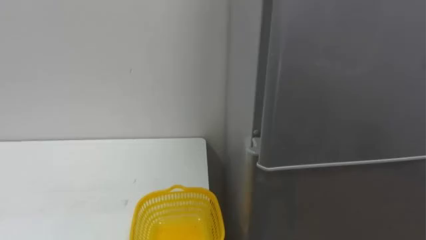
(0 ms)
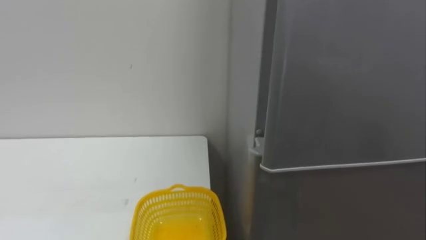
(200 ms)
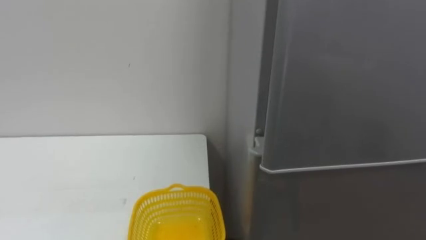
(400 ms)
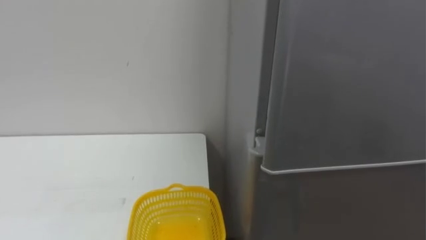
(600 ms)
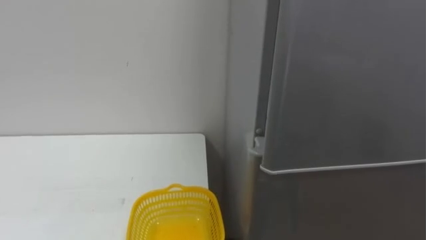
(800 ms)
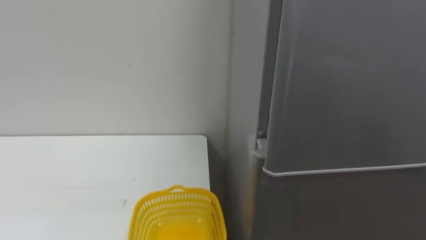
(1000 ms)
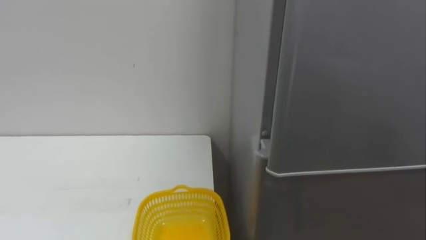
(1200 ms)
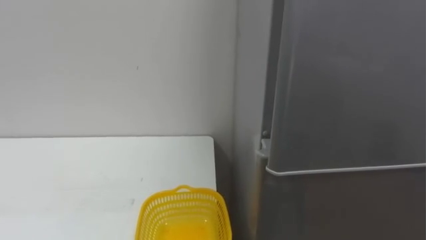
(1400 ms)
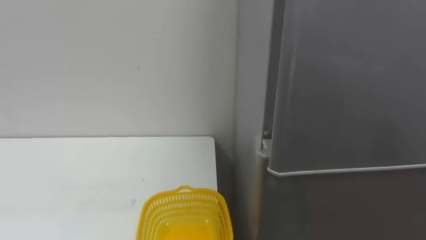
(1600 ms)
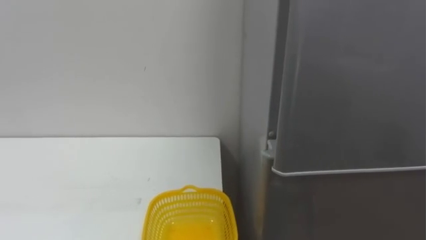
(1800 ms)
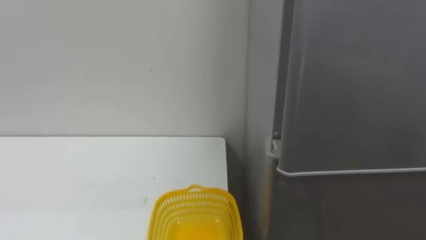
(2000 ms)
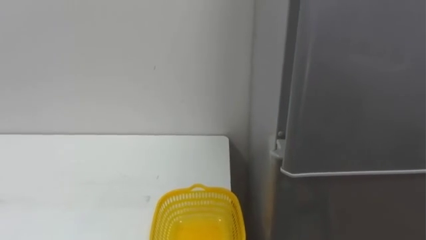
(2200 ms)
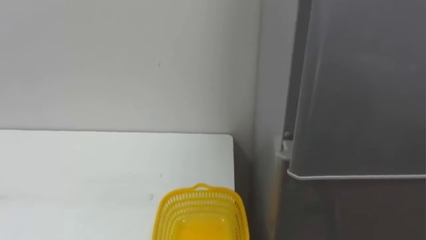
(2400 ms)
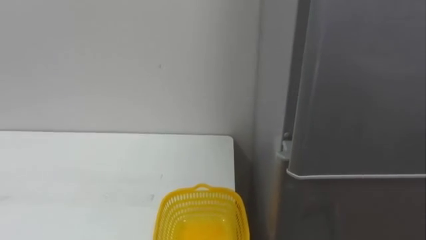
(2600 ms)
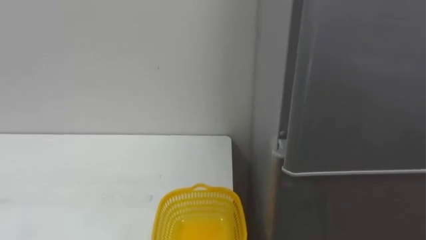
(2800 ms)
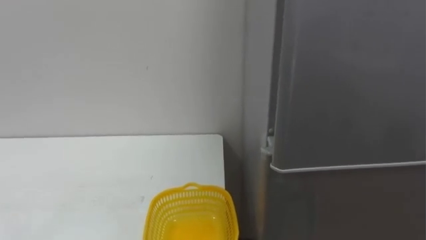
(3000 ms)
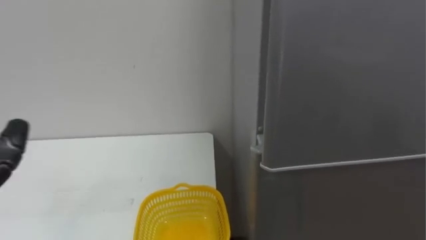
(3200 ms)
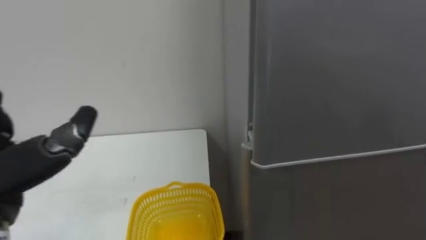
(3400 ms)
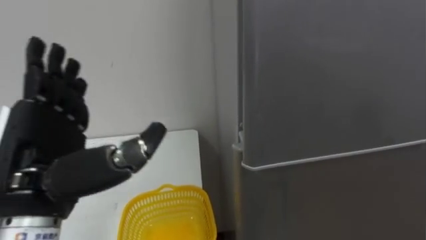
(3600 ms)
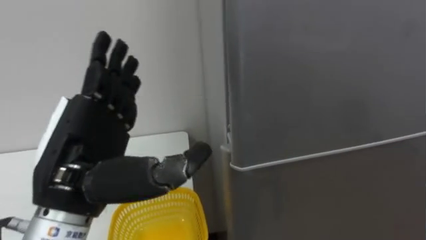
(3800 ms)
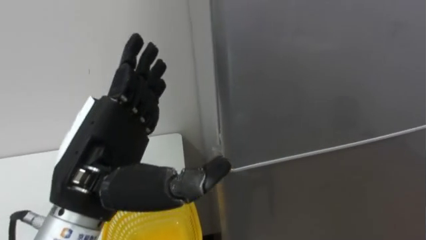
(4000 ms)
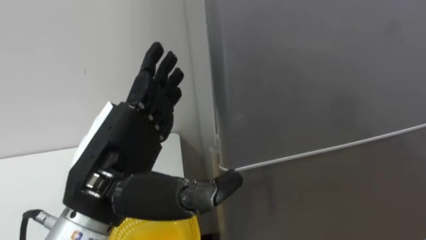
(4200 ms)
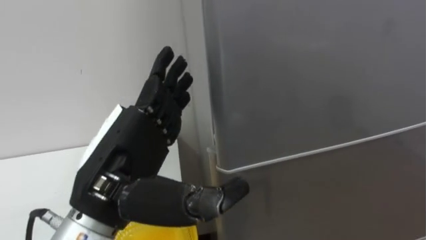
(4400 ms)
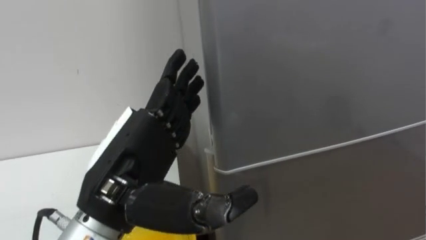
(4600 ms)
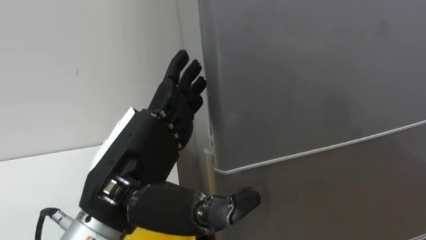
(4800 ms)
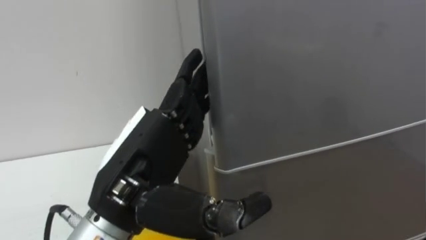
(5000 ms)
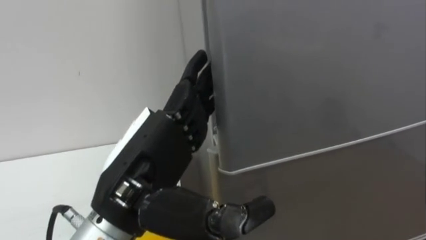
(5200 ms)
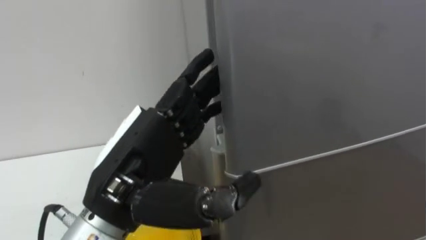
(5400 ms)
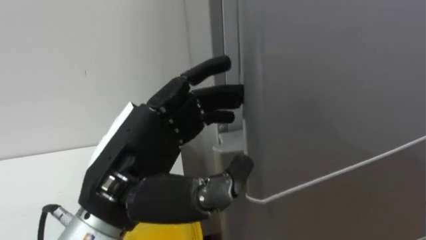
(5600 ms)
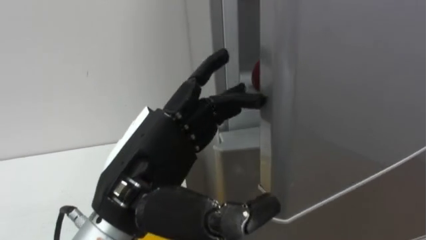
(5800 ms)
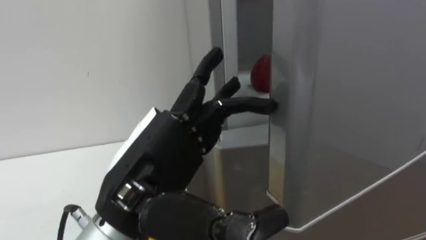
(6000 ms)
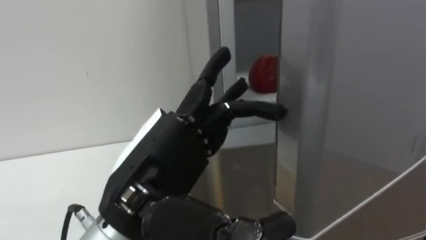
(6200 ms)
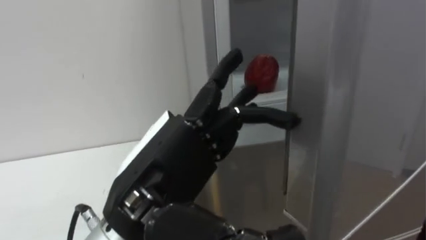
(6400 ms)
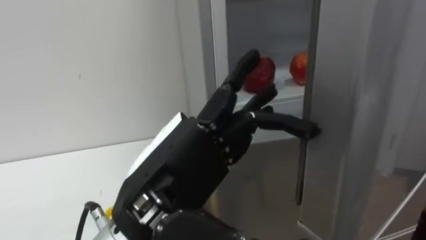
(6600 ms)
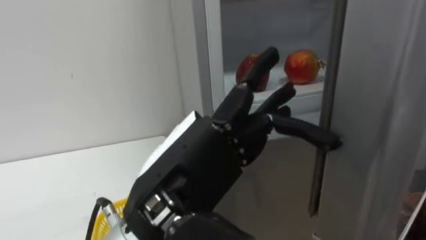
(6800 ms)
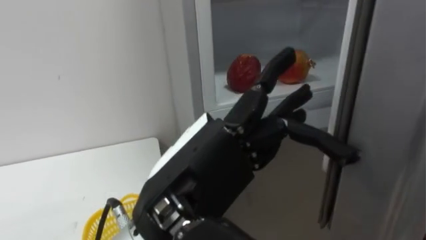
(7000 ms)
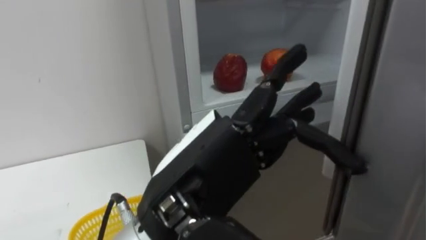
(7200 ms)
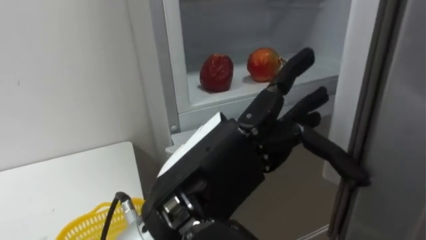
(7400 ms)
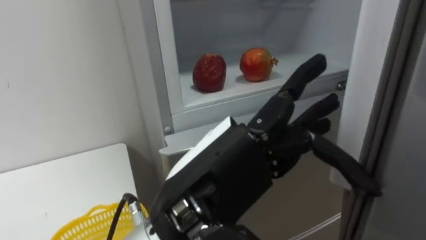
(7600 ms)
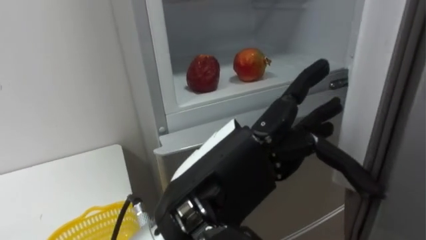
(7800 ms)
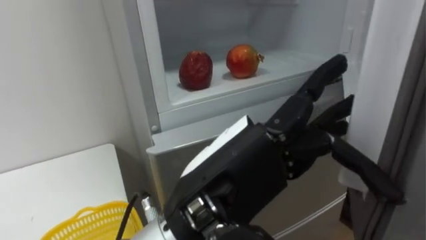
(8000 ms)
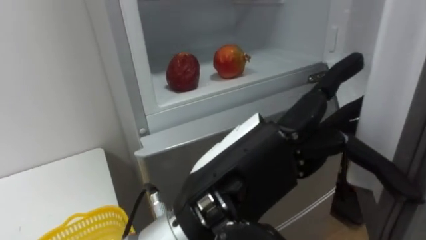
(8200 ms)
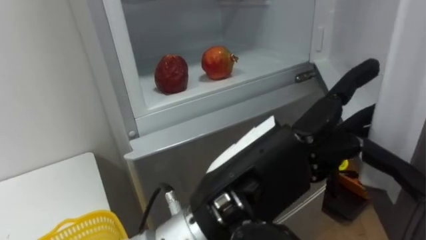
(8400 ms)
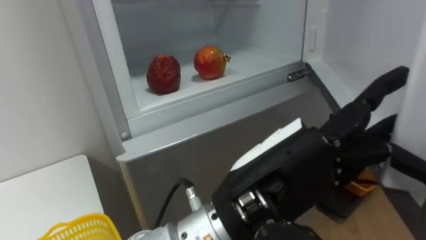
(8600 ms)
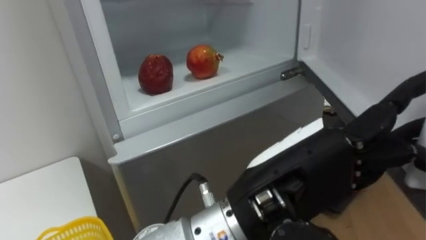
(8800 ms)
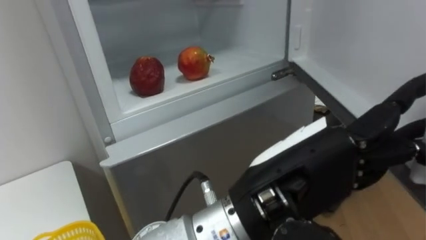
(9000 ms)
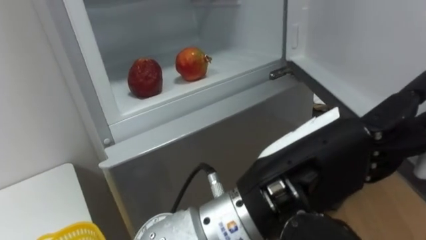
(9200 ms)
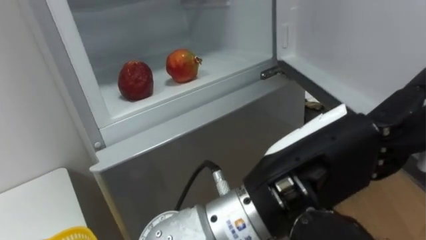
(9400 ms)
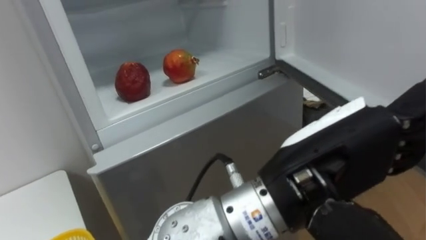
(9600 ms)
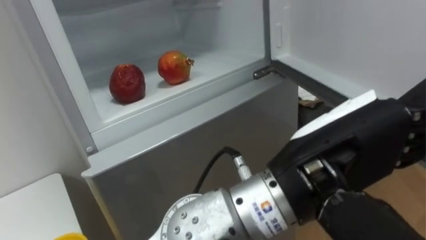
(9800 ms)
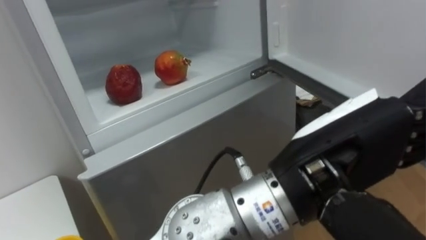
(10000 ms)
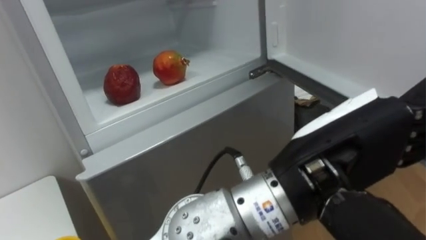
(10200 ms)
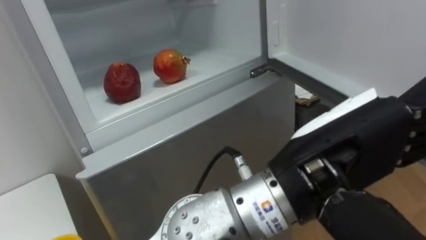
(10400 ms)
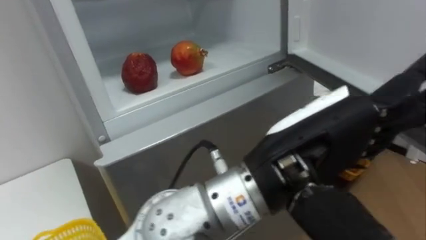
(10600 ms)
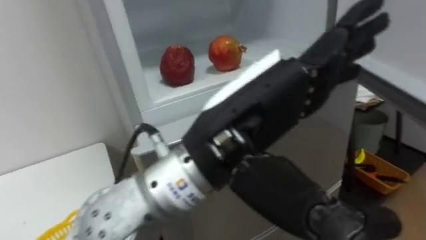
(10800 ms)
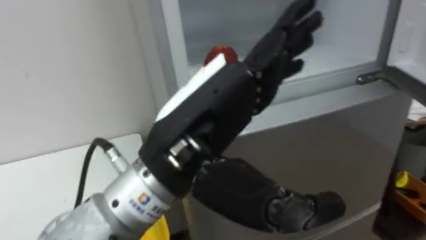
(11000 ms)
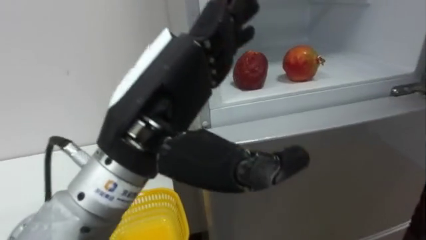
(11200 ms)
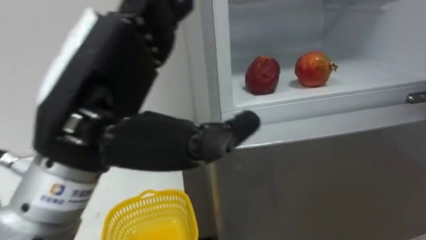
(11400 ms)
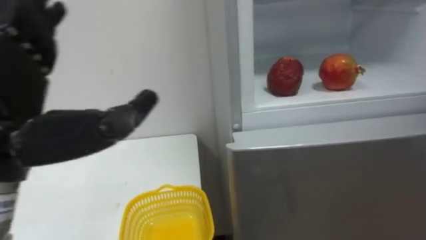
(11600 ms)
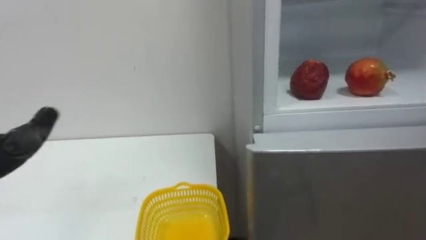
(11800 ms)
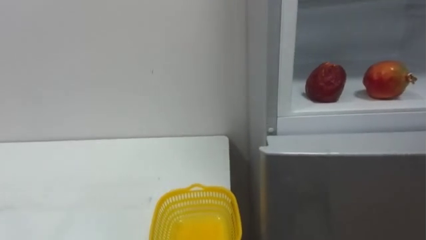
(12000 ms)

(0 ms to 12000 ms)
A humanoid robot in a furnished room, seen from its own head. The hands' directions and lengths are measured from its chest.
Task of the whole recording: Open the refrigerator door, take out the apple and the pomegranate, place them in the fruit basket on the left, and close the refrigerator door.
6000 ms - 7600 ms: The left hand travels to the right by approximately 5 cm.
7600 ms - 9000 ms: The left hand shifts some 5 cm to the right.

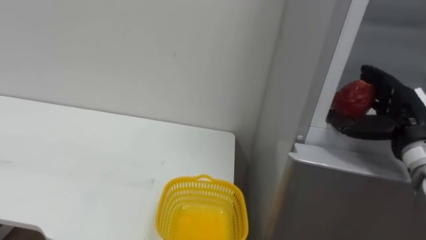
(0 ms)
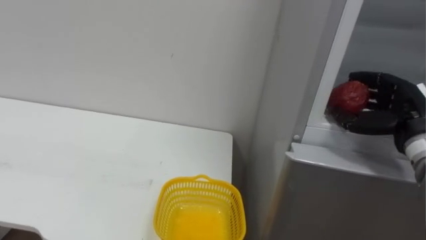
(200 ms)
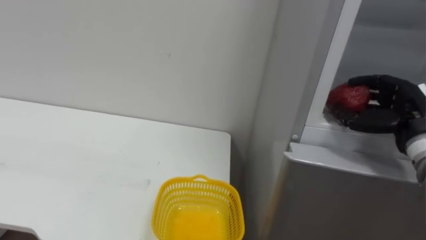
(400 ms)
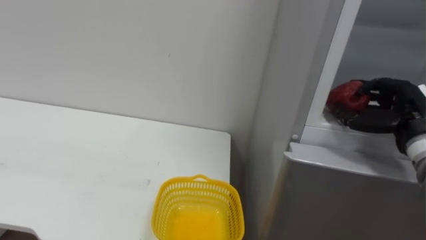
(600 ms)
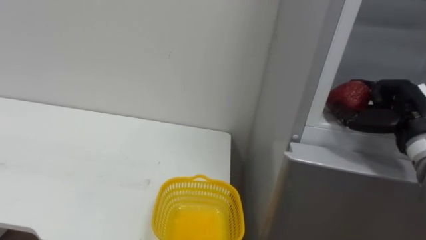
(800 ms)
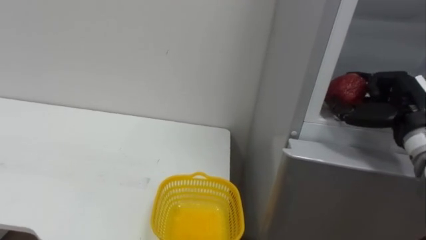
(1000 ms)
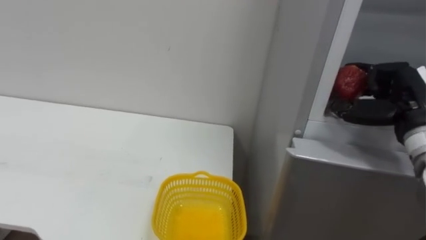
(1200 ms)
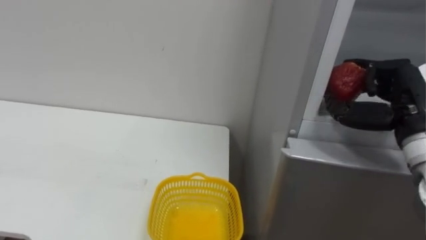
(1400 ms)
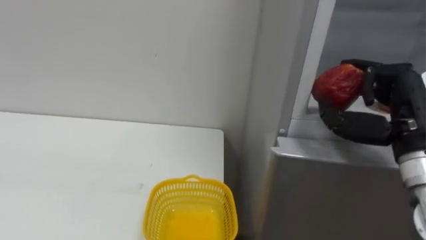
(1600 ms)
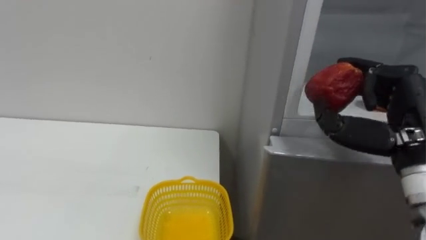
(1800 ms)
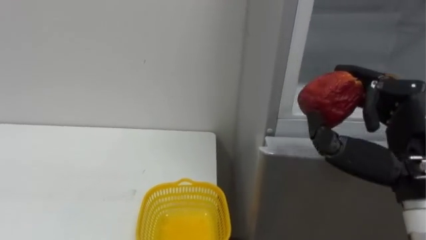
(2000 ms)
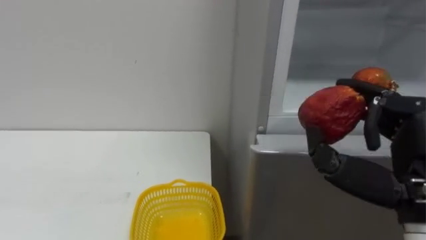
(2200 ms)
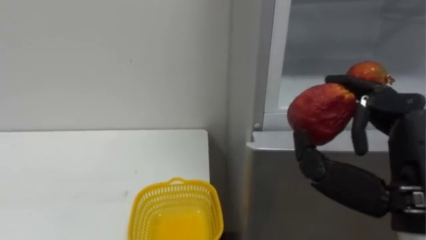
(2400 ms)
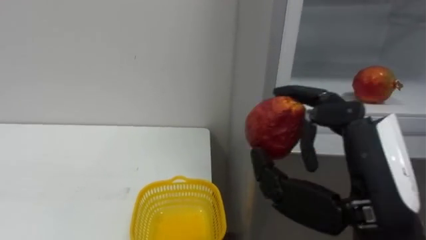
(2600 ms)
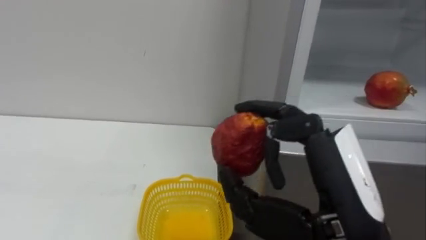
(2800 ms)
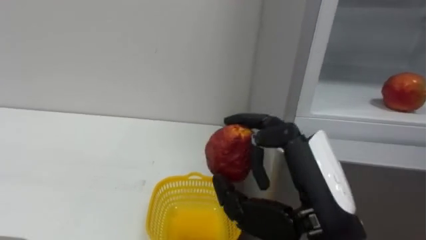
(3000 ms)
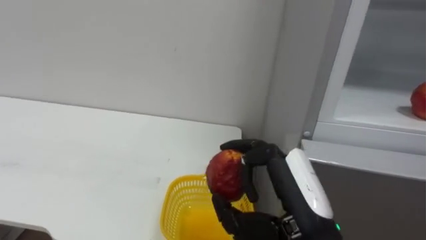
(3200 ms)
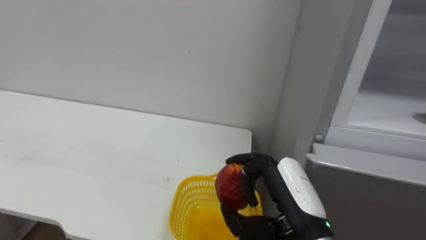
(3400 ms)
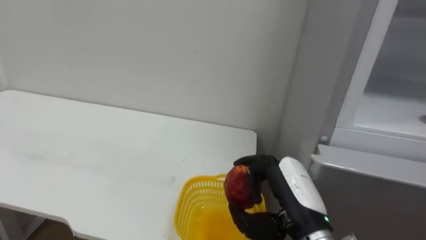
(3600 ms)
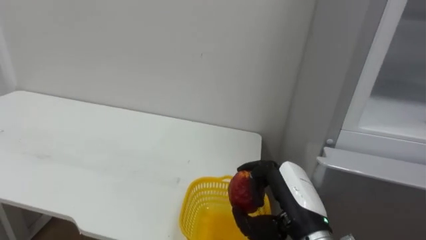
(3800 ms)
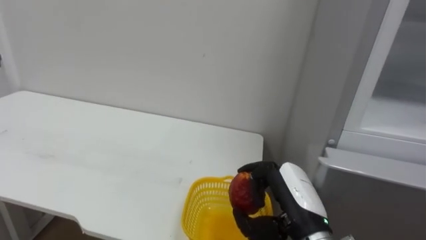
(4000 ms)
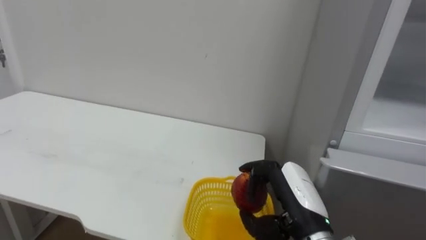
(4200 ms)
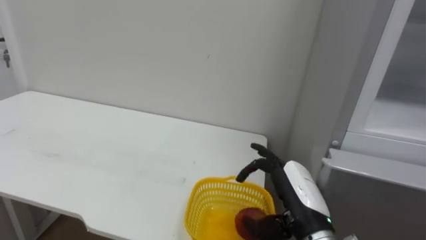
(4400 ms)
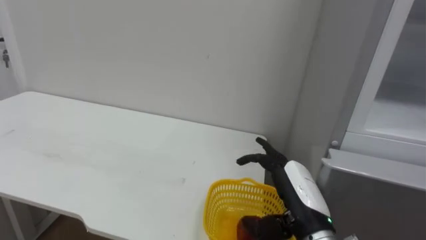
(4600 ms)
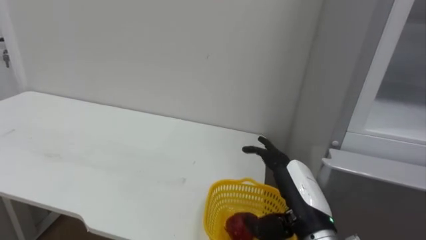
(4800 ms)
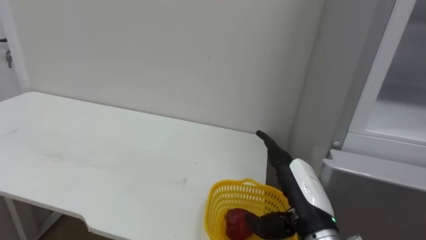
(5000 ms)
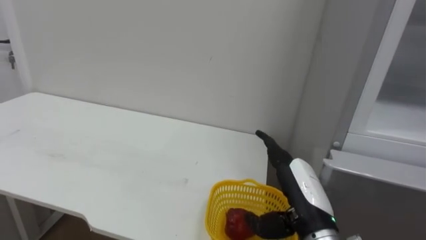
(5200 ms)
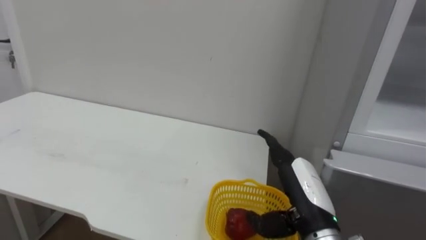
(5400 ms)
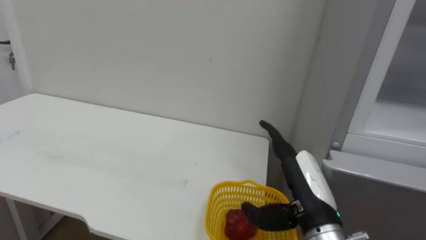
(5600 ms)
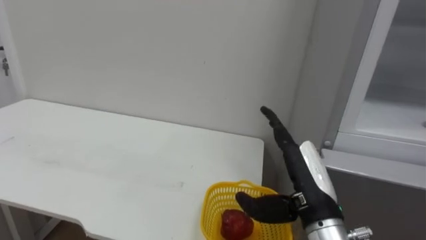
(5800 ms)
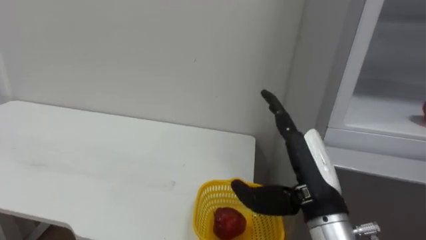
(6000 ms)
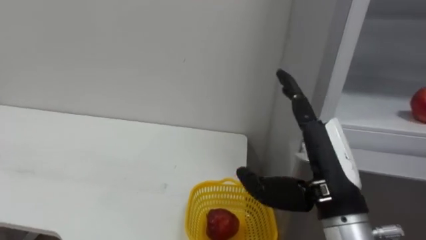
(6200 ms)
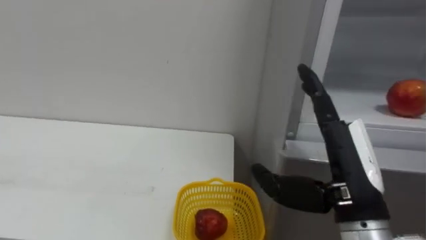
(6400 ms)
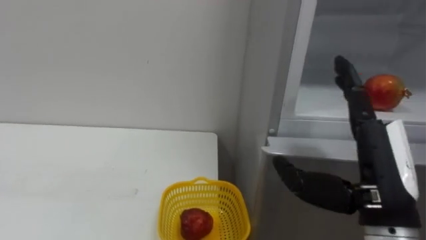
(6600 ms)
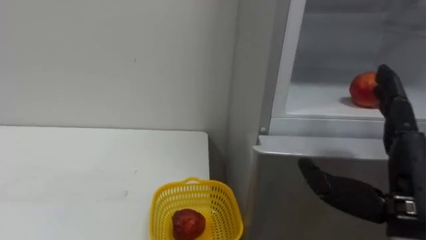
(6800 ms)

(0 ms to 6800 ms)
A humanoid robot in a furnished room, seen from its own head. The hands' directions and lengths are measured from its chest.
Task of the whole recording: Open the refrigerator door, take out the apple and the pomegranate, place them in the fruit basket on the left, and close the refrigerator door.
0 ms - 1400 ms: The right hand moves about 5 cm, and closes up.
1400 ms - 2800 ms: The right hand travels to the left and backward by about 20 cm.
2800 ms - 4000 ms: The right hand heads downward and forward, covering about 15 cm.
4000 ms - 5400 ms: The right hand opens.
5400 ms - 6800 ms: The right hand is displaced upward, to the right and backward by about 15 cm.
